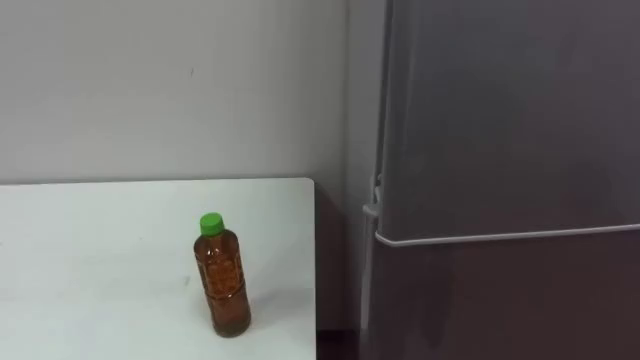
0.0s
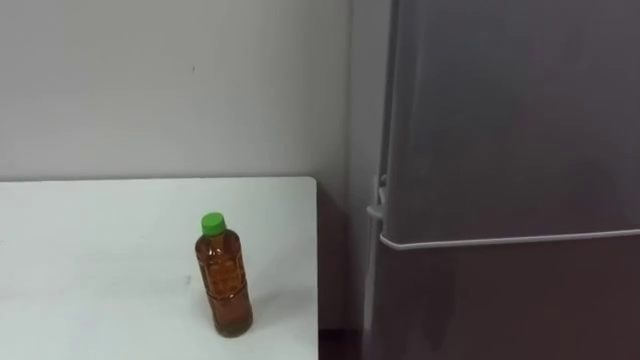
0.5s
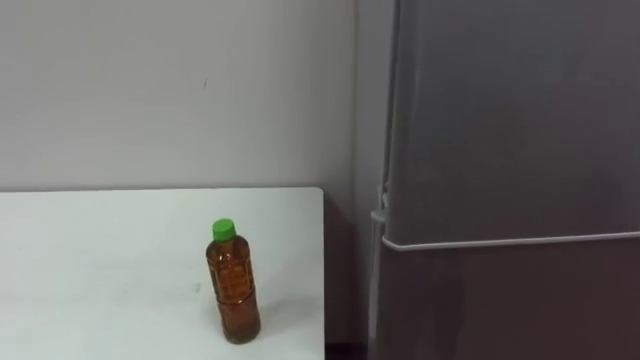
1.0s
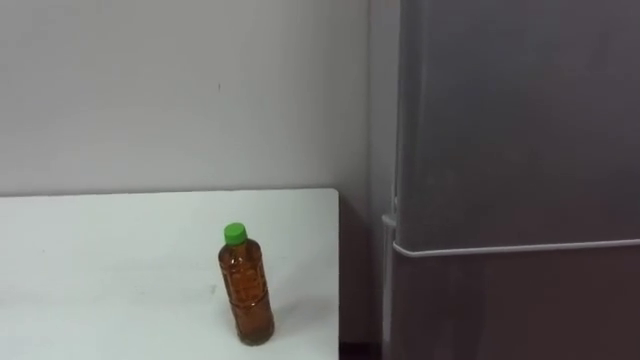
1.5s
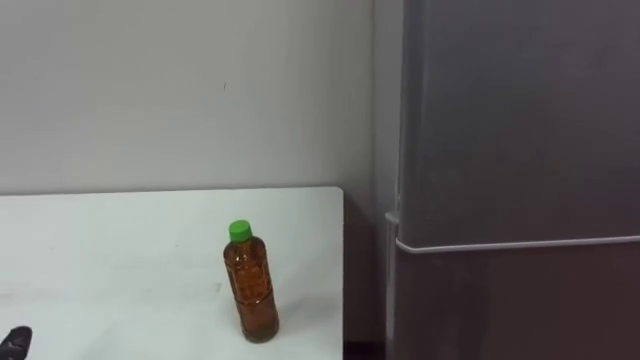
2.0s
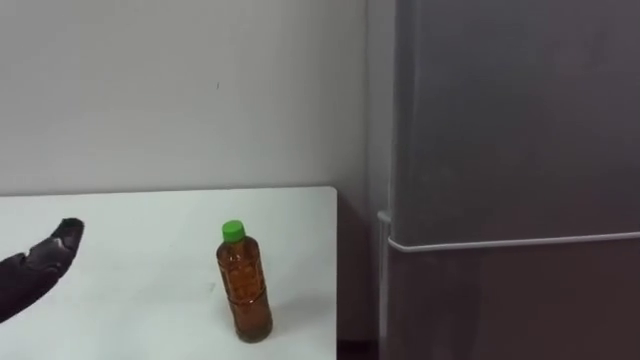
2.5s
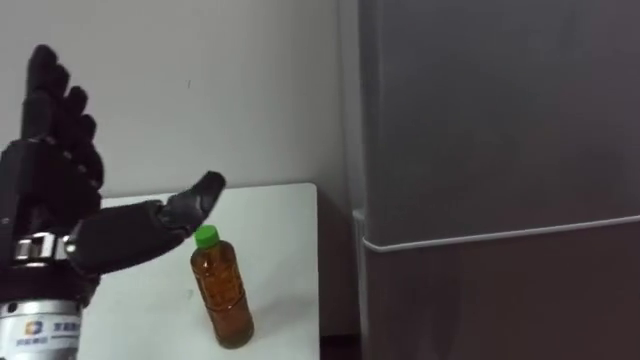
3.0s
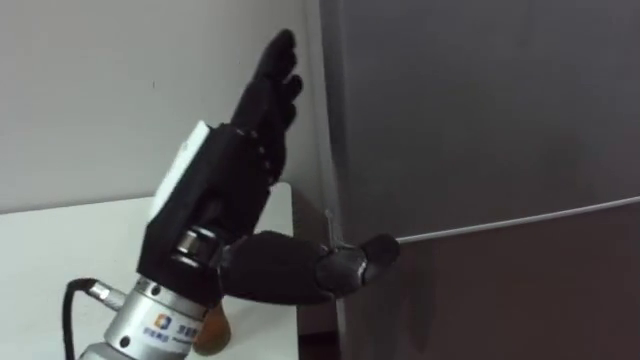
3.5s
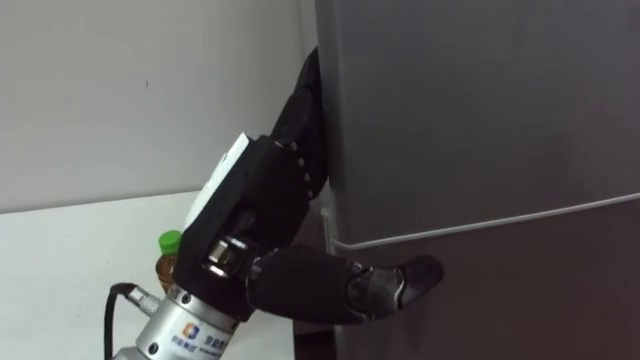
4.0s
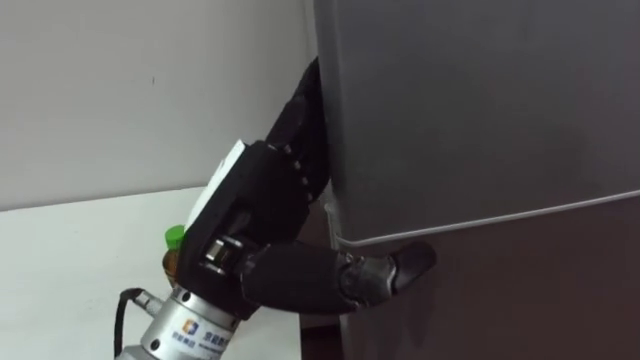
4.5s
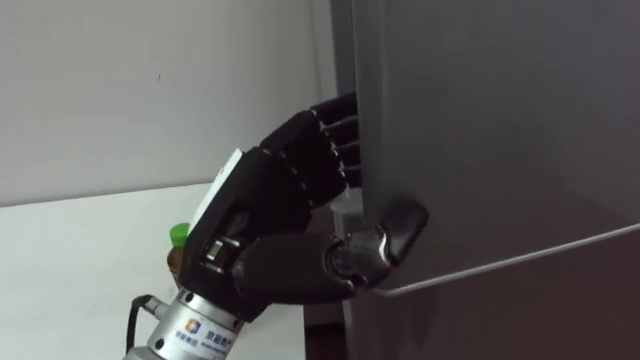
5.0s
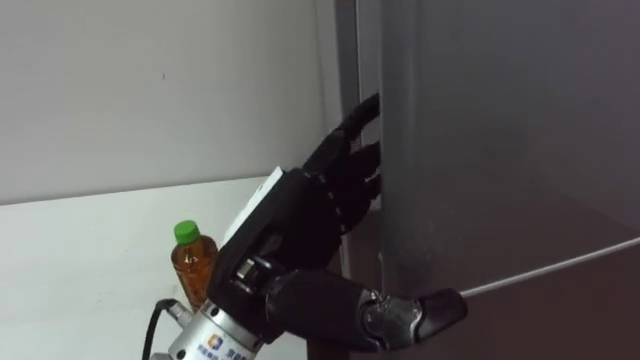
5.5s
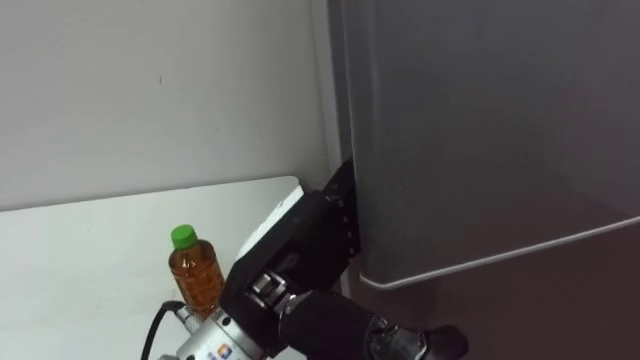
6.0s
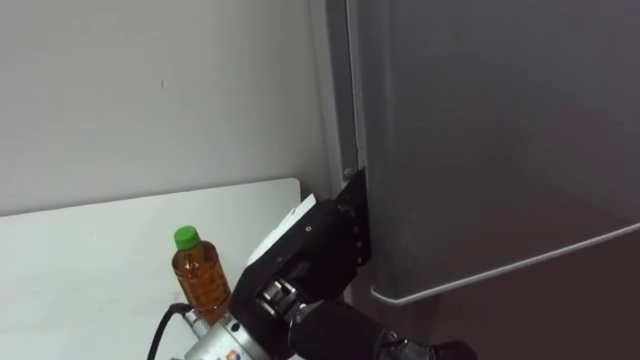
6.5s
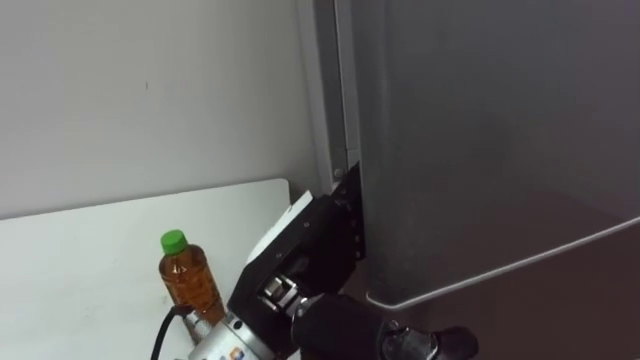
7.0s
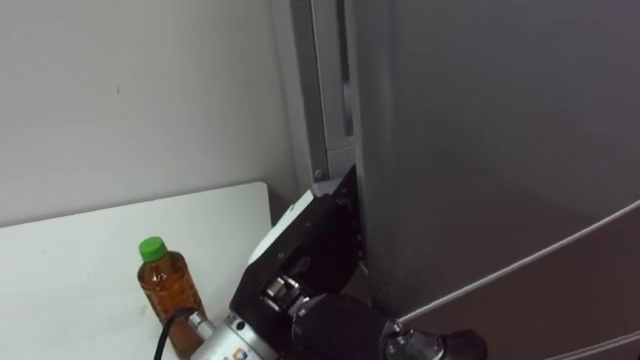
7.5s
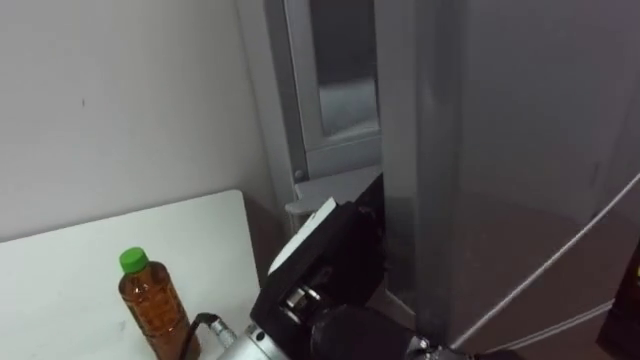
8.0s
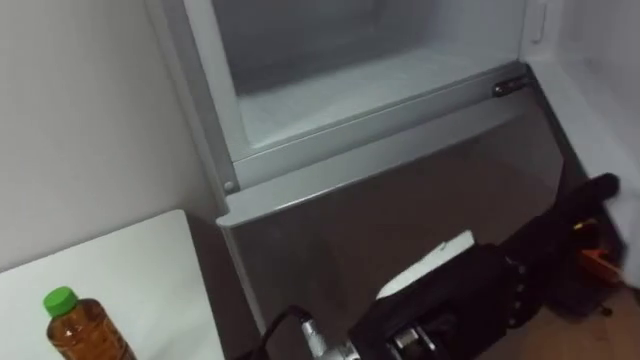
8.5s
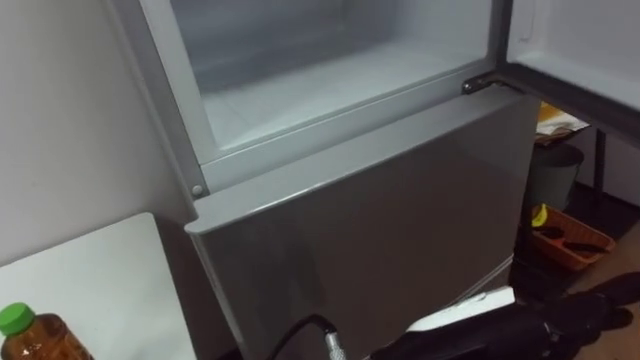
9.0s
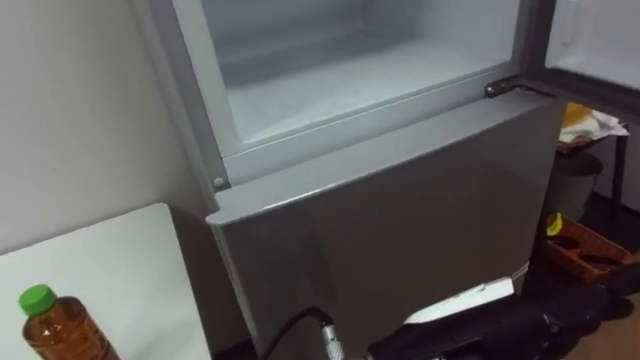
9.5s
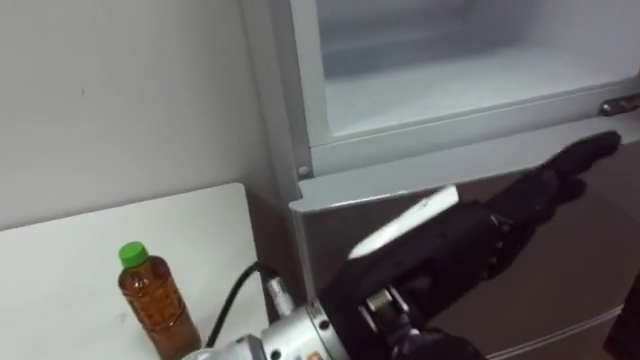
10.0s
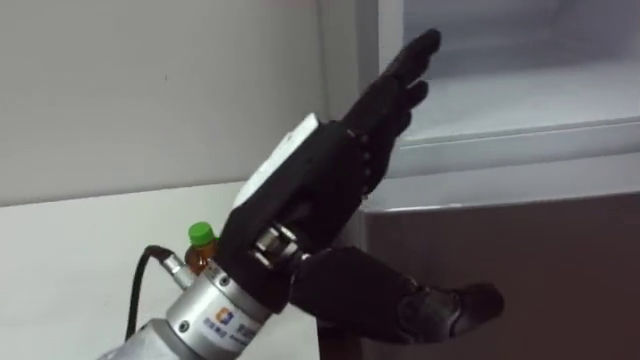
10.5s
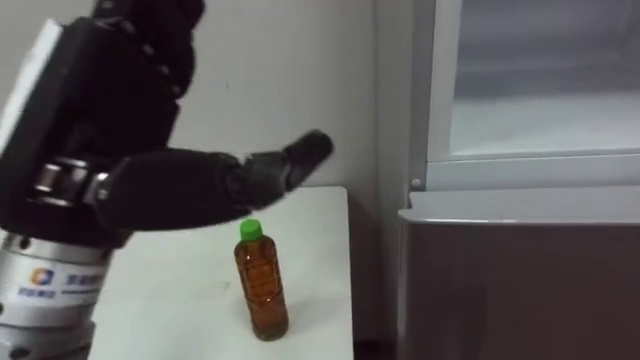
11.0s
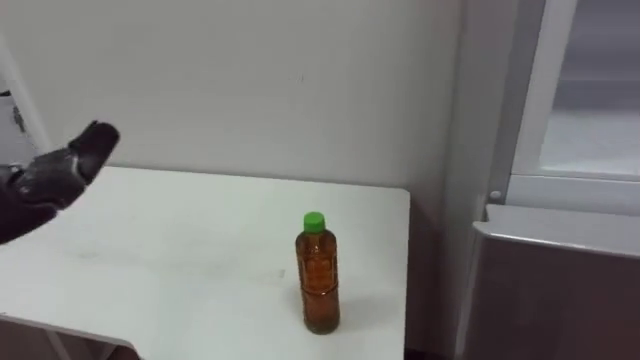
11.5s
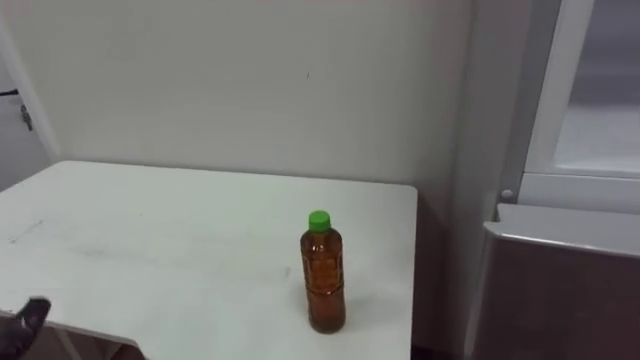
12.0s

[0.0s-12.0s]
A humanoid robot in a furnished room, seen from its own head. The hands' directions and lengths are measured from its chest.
Task of the whole recording: Open the upper refrigerator door, put the drink from the table into the refrigerator, and then close the refrigerator door.
4.0s to 6.0s: The left hand shifts by approximately 5 cm, and closes, then opens again.
8.0s to 10.0s: The left hand changes place by about 5 cm.

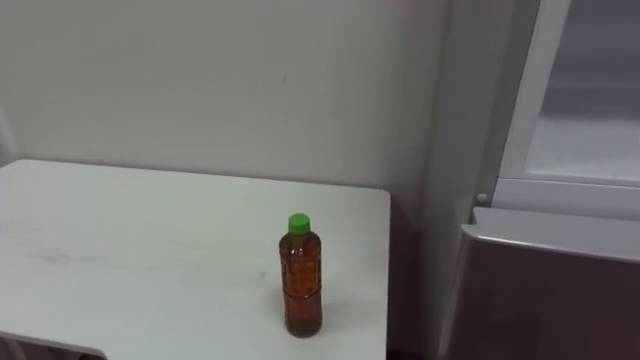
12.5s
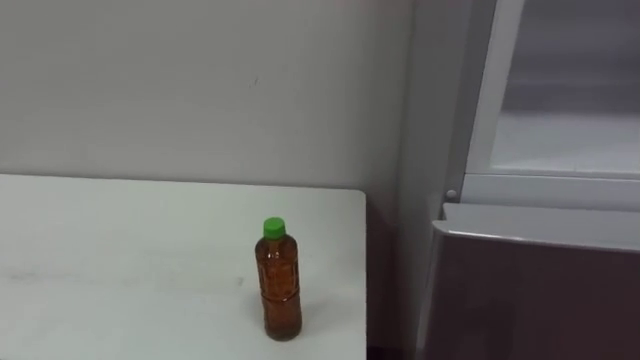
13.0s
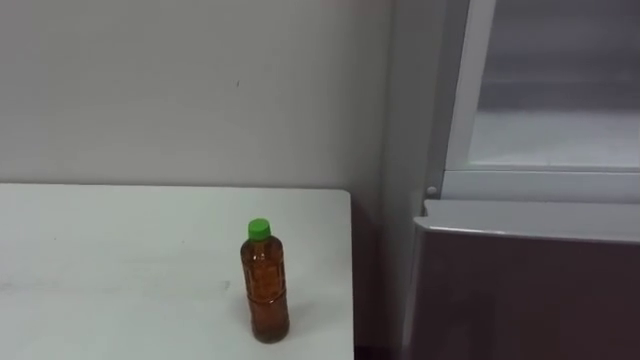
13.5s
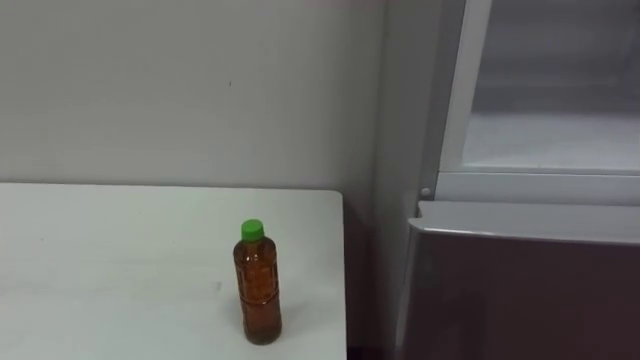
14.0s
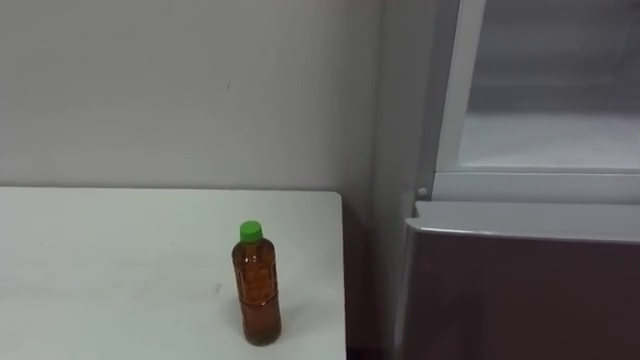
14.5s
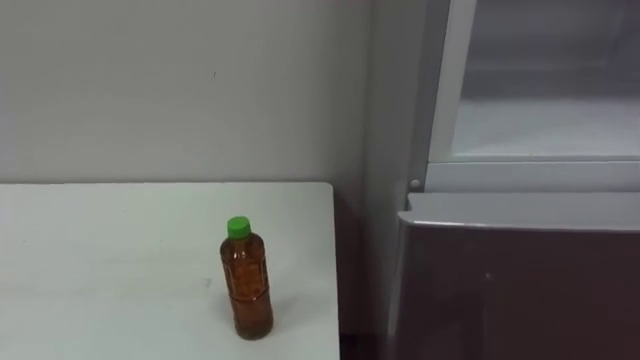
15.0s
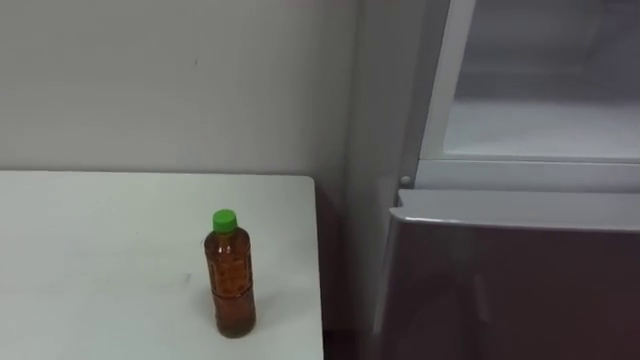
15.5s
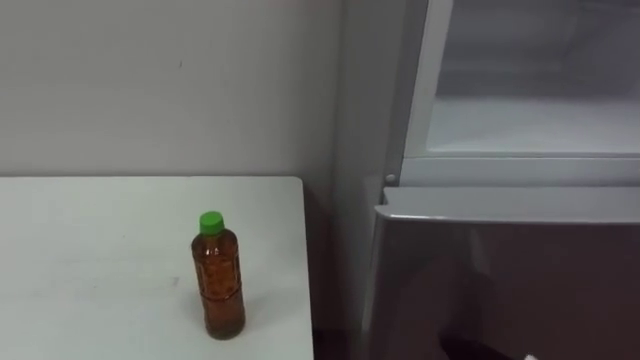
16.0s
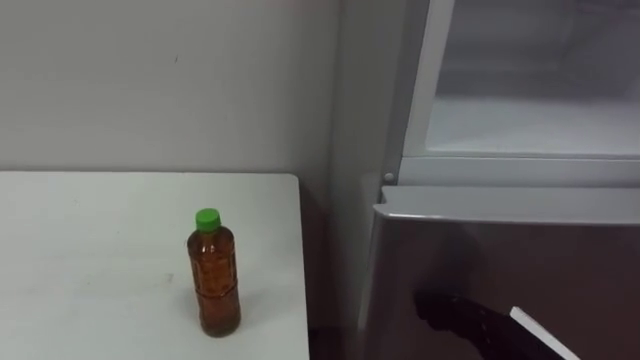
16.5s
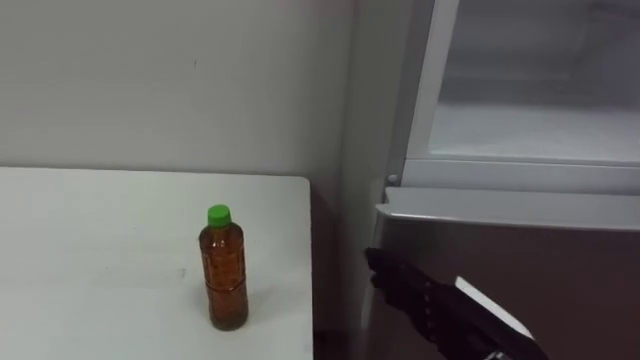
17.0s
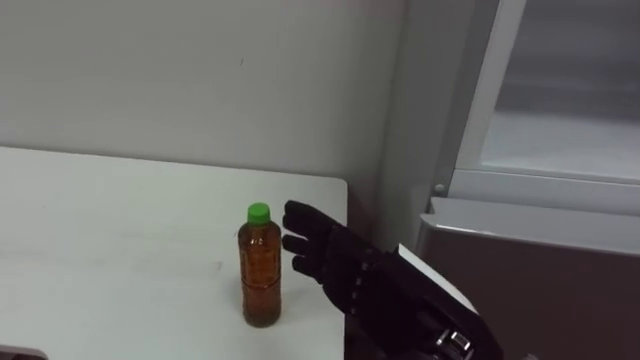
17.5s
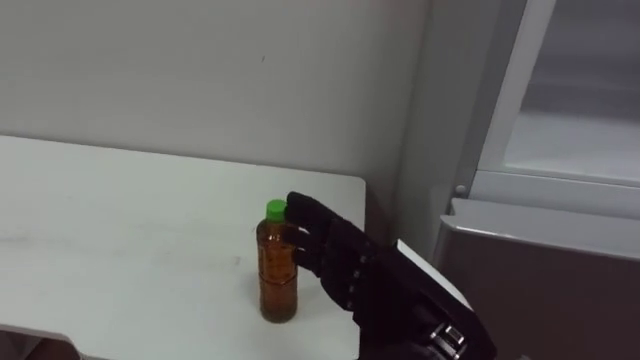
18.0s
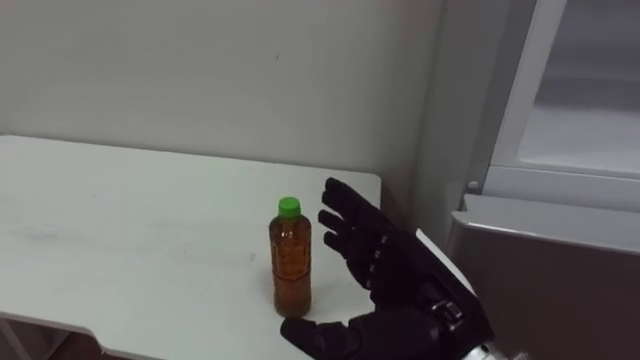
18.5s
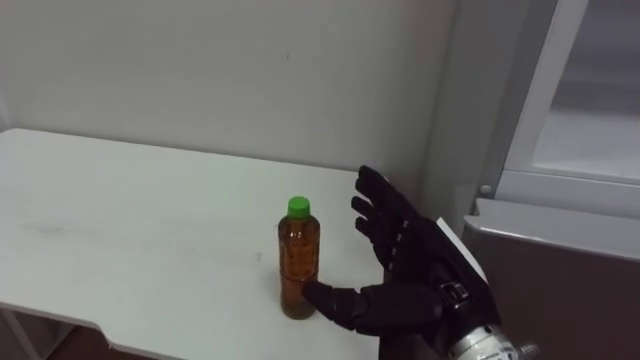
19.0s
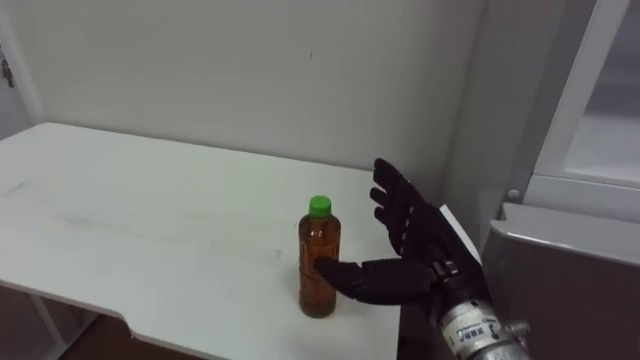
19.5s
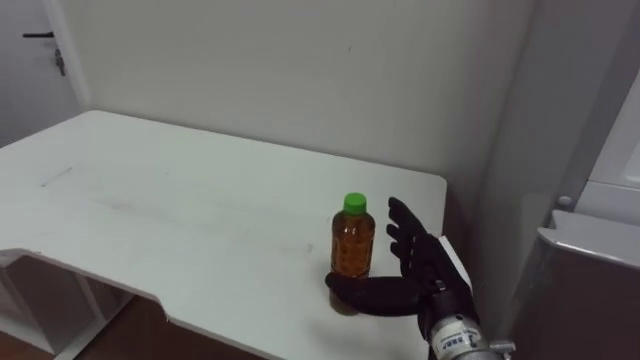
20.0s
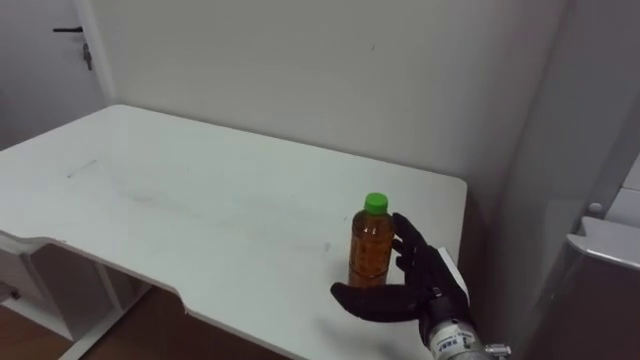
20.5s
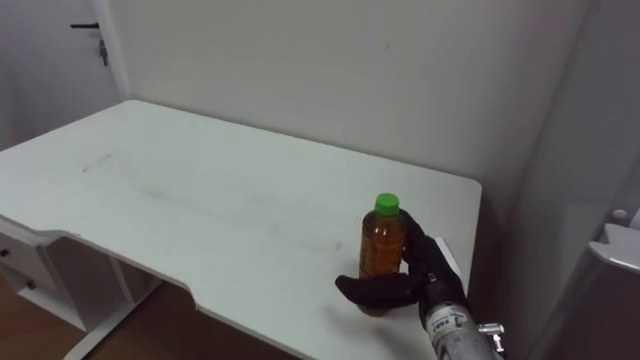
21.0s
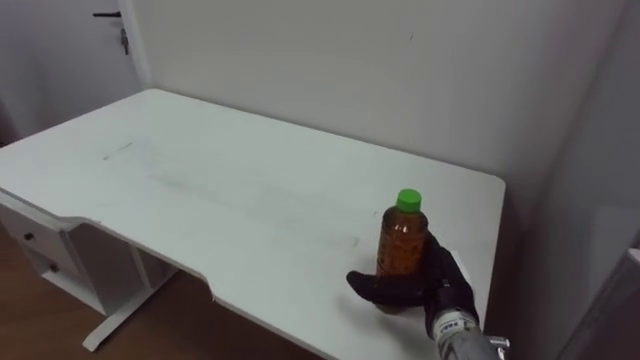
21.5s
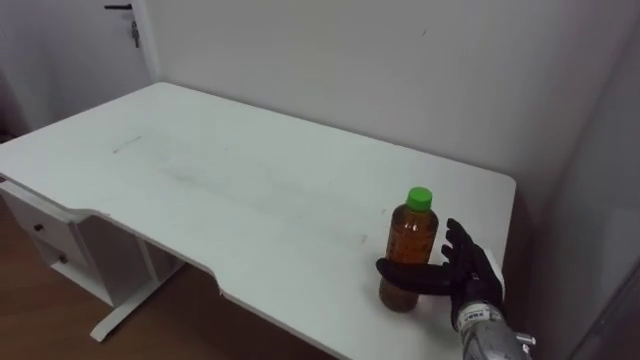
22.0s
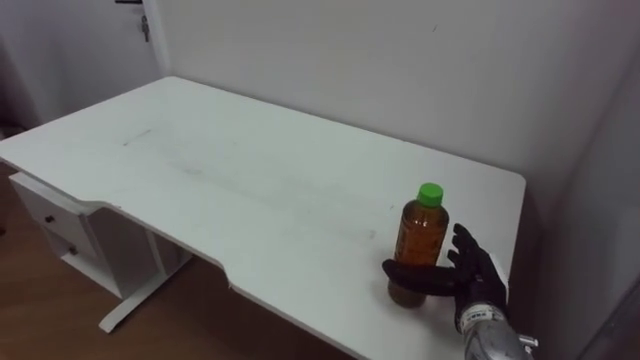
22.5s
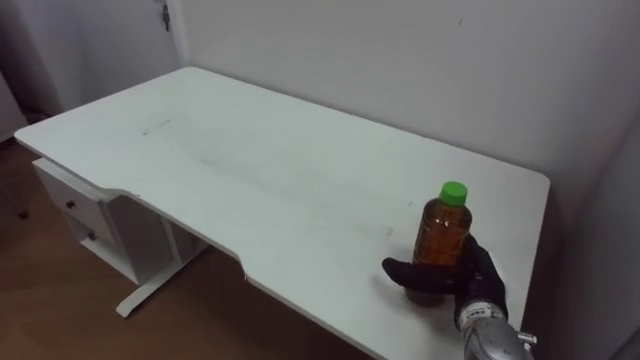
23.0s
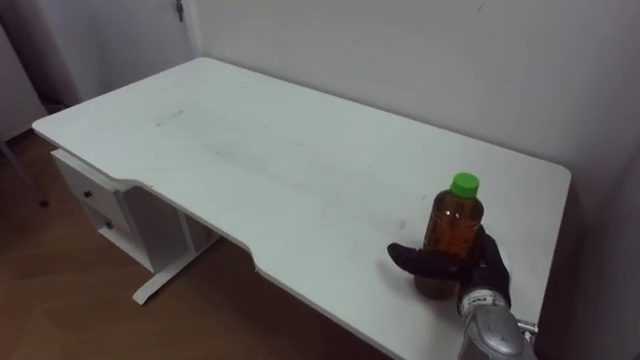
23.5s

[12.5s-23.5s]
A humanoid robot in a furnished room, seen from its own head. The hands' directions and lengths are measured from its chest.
Task of the whole recording: Open the upper refrigerator door, put the drink from the table into the refrigerator, and then close the refrigerator door.
18.0s to 20.0s: The right hand is displaced forward and downward by some 15 cm.
20.0s to 21.5s: The right hand shifts by approximately 5 cm.
21.5s to 23.5s: The right hand ends up some 5 cm from where it was.
